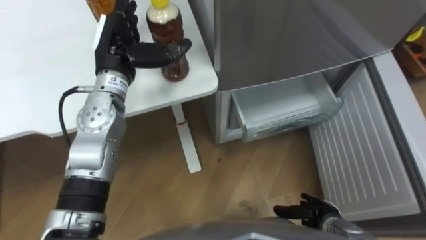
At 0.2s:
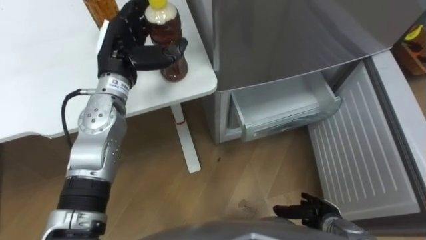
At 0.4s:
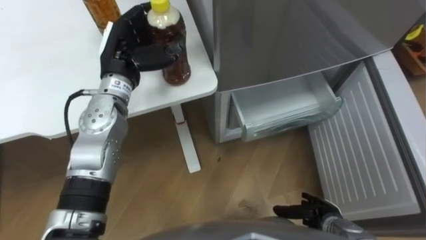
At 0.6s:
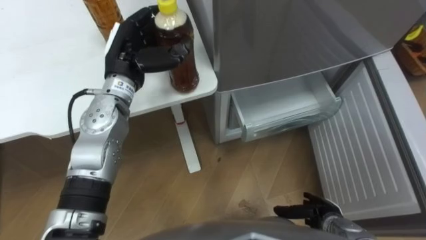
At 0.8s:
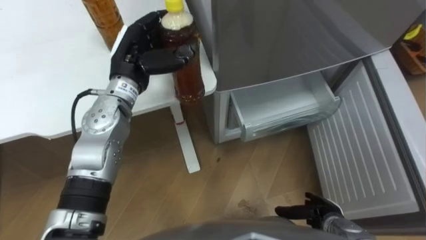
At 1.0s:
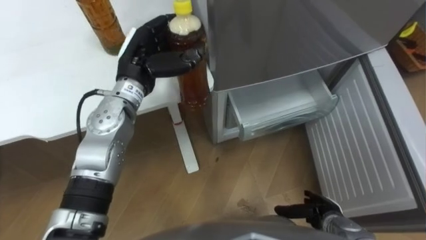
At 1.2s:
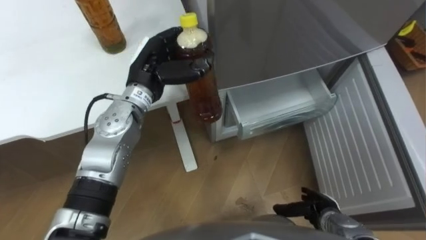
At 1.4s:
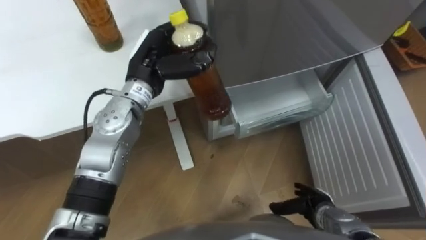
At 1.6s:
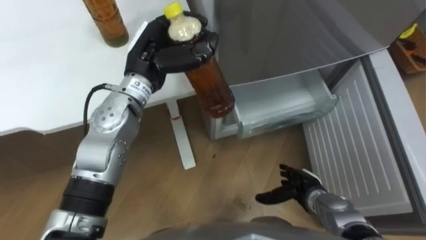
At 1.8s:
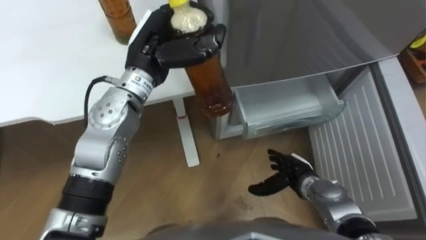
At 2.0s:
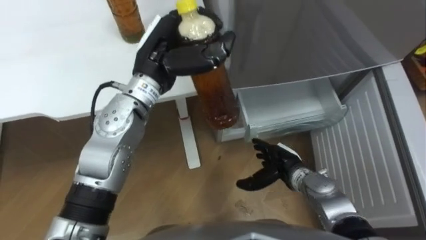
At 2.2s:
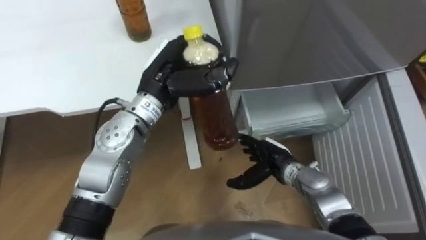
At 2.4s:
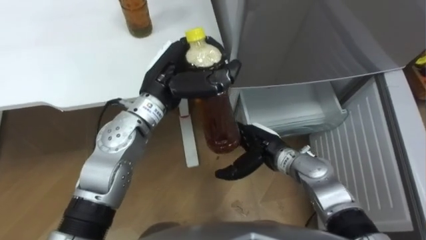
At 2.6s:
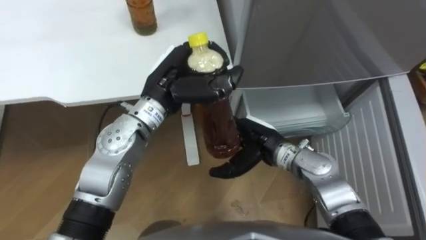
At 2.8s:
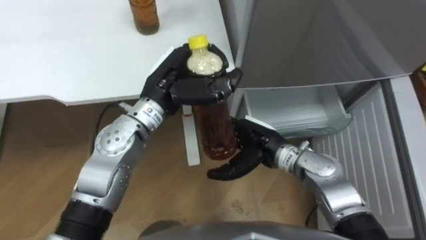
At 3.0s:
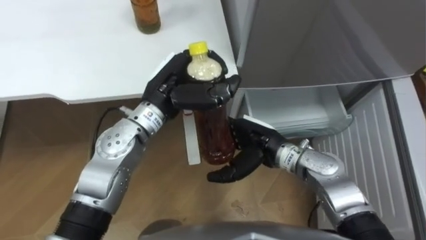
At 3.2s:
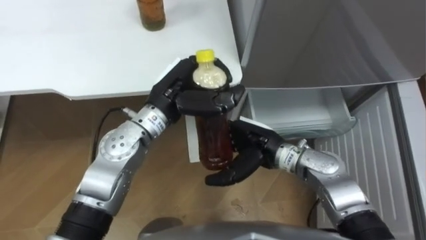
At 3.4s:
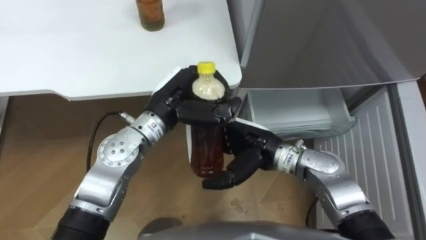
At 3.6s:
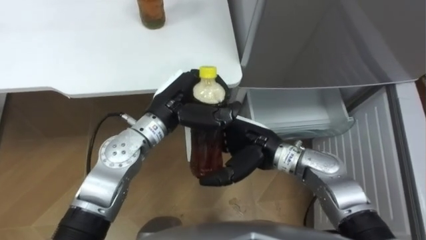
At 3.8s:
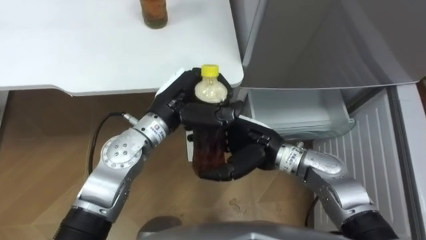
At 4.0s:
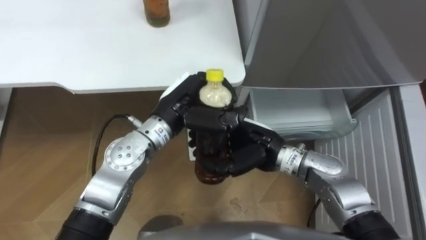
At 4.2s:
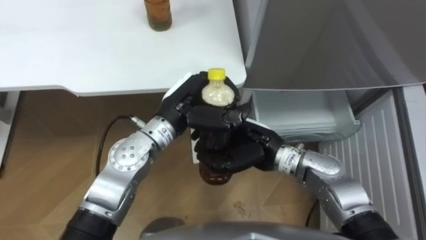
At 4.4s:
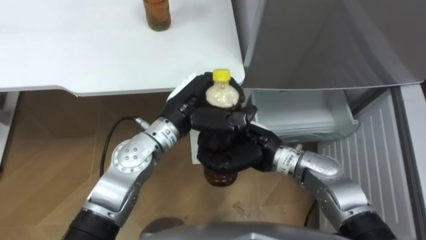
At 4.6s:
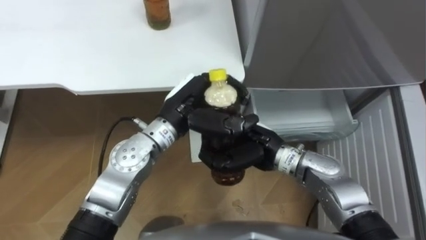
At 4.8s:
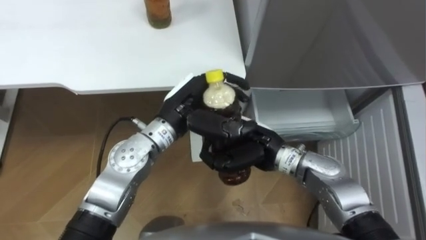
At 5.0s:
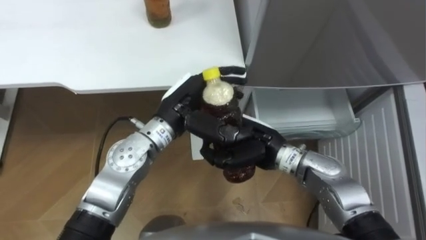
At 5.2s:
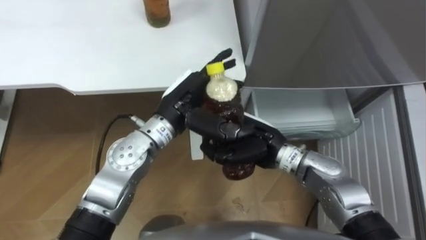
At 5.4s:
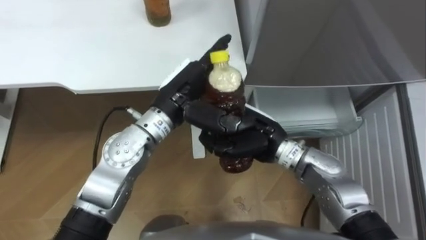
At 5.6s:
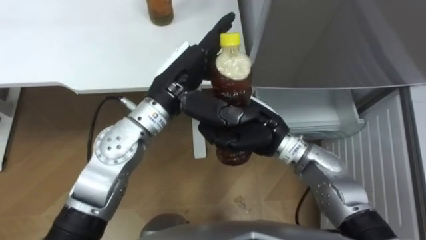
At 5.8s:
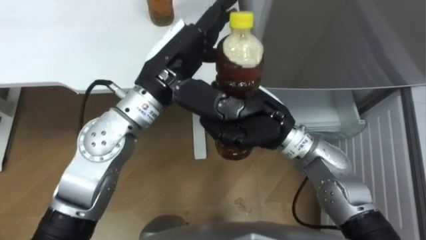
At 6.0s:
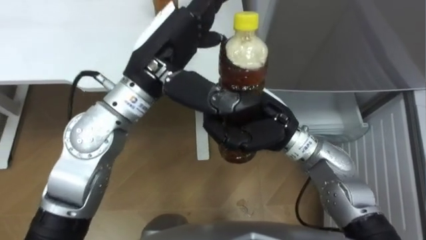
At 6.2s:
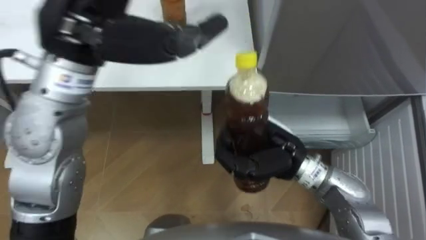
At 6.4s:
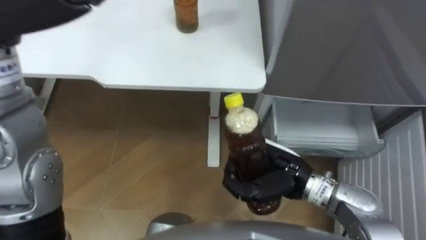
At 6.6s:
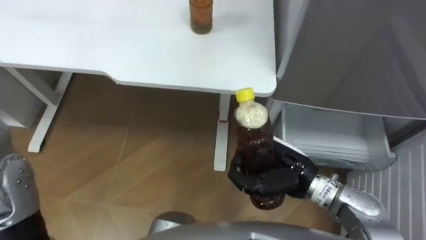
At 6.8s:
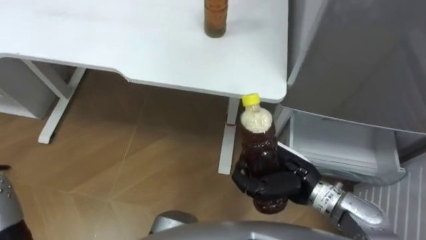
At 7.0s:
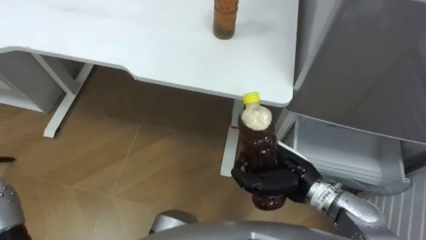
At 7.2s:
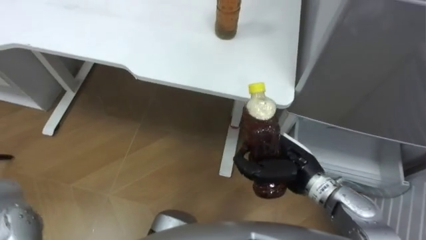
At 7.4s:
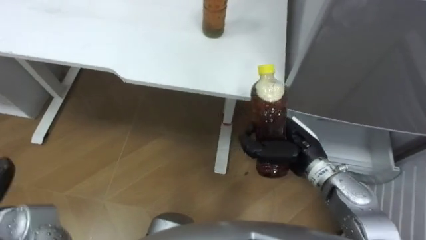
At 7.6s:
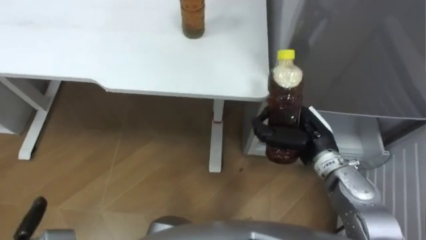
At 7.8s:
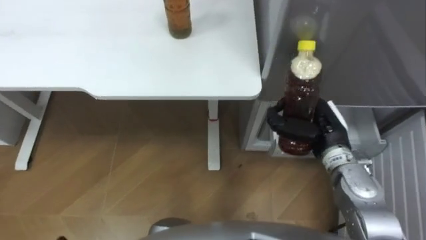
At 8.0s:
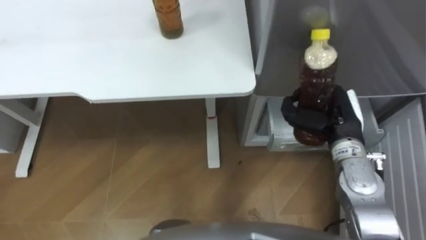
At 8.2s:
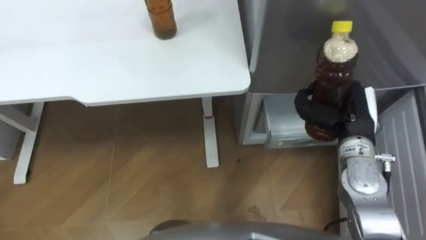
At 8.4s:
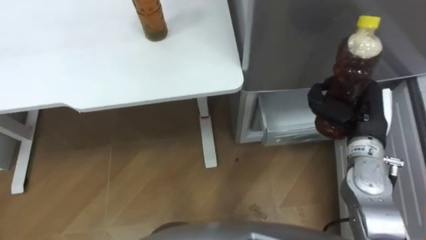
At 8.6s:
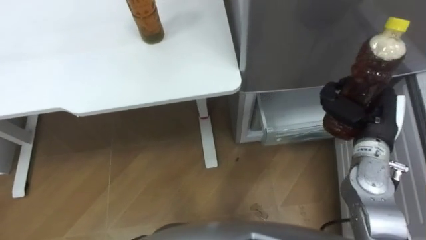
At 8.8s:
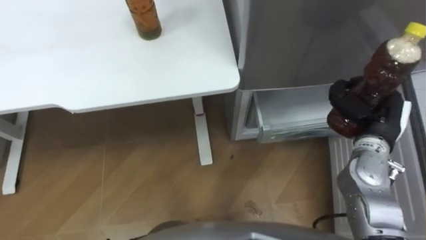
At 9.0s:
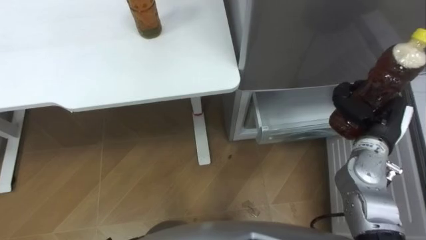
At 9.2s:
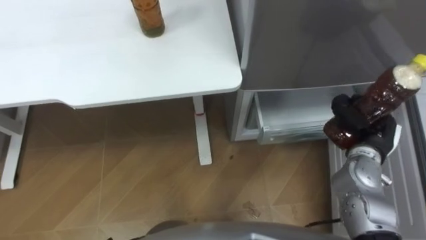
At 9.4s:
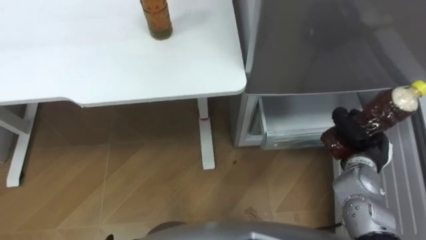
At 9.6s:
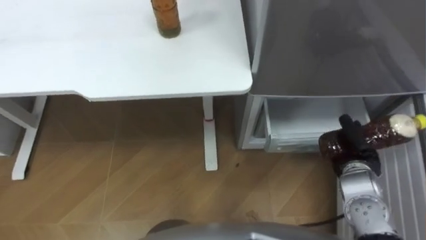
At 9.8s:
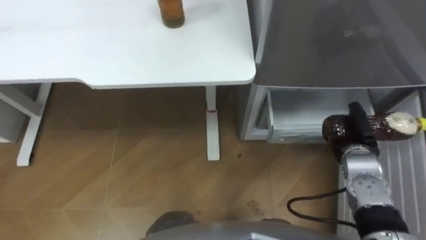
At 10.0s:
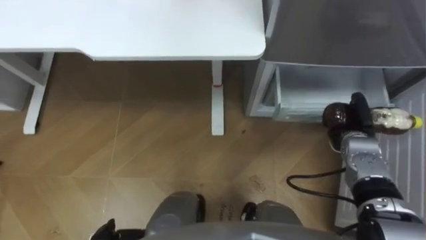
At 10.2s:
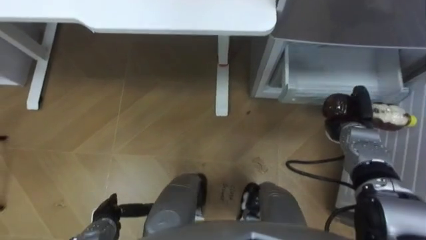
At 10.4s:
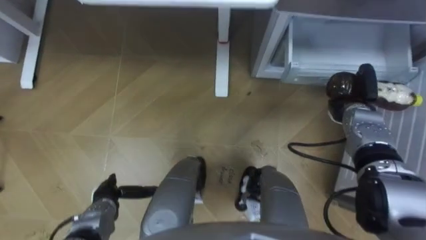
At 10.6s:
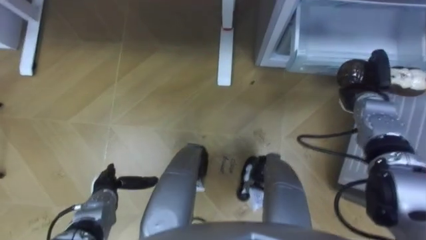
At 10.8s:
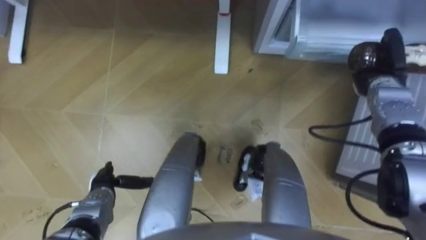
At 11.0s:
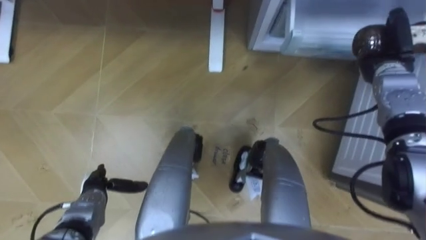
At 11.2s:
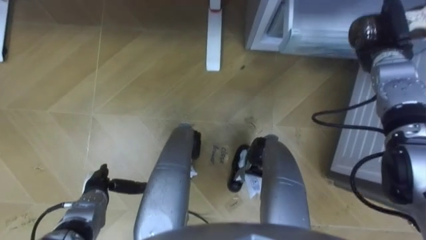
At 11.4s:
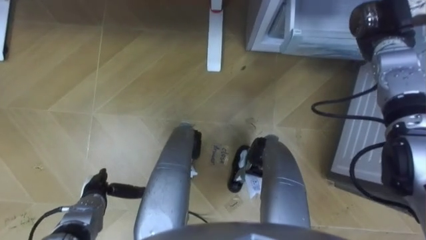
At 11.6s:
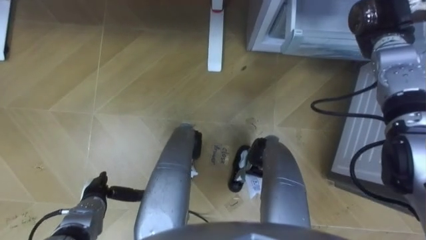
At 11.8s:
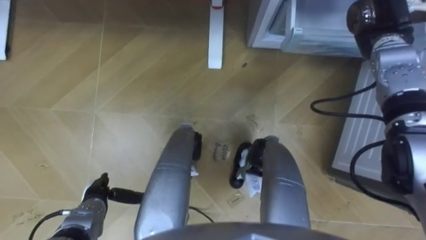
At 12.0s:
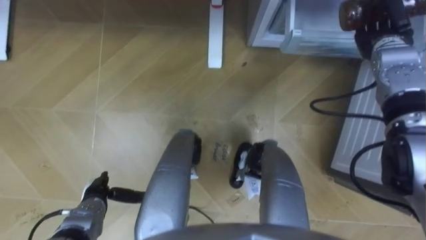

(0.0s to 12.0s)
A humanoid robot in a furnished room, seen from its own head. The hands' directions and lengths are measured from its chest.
Task of the whole recording: Place the drink on the table on the bottom shelf of the refrigerator, then close the drawer and the refrigerator door.
0.0s - 1.6s: The right hand is displaced forward by roughly 5 cm. The left hand shifts about 5 cm to the right, and closes up.
1.6s - 3.0s: The right hand travels upward, to the left and forward by roughly 20 cm. Meanwhile the left hand changes place by approximately 5 cm.
3.0s - 4.4s: The right hand closes.
4.4s - 6.0s: The left hand moves upward, about 15 cm, and opens. Meanwhile the right hand heads upward, covering roughly 10 cm.
6.0s - 7.6s: The right hand moves to the right and downward, approximately 15 cm.
7.6s - 9.0s: The right hand is displaced to the right by some 10 cm.
9.0s - 10.4s: The right hand shifts some 10 cm forward and downward.
10.4s - 12.0s: The right hand moves upward and forward, about 15 cm.

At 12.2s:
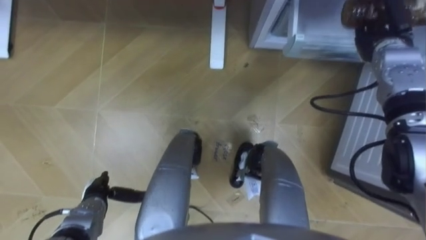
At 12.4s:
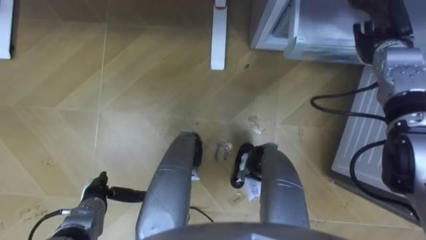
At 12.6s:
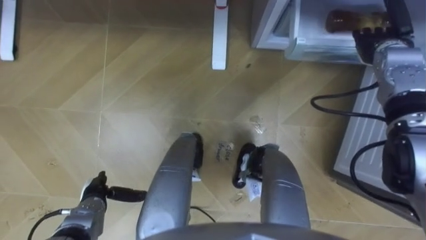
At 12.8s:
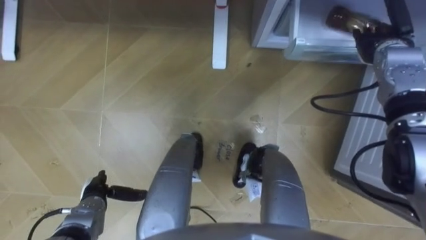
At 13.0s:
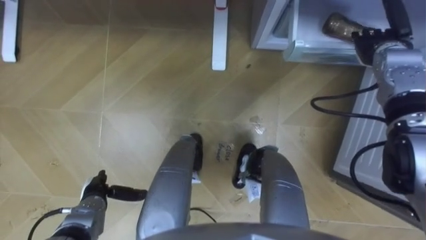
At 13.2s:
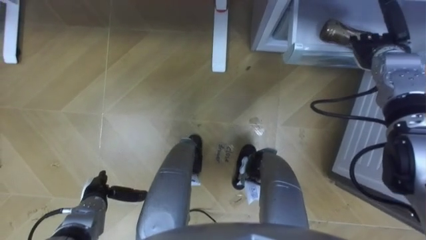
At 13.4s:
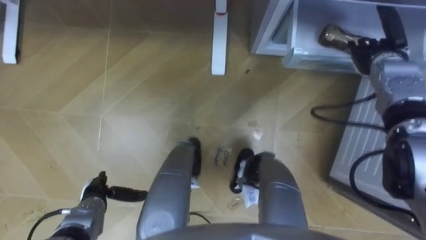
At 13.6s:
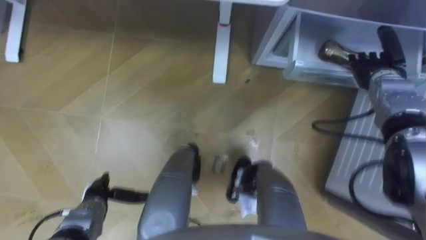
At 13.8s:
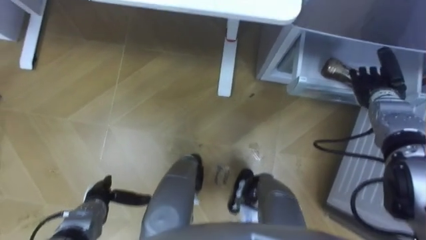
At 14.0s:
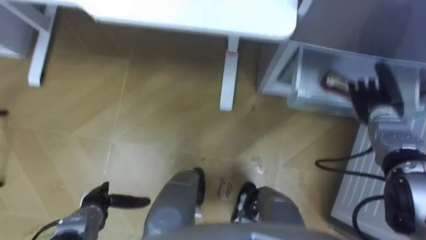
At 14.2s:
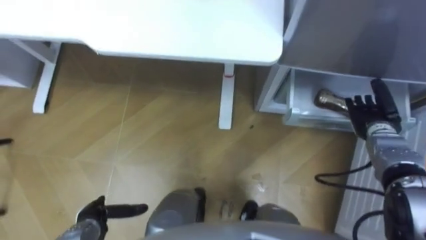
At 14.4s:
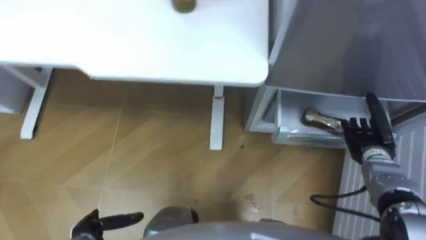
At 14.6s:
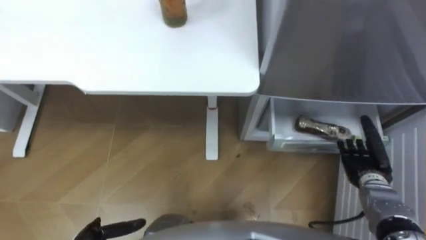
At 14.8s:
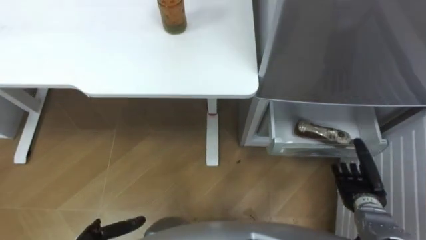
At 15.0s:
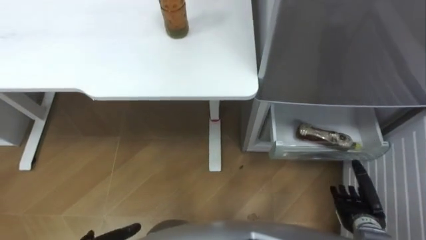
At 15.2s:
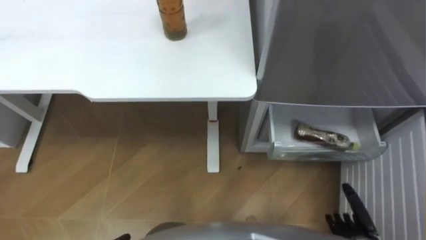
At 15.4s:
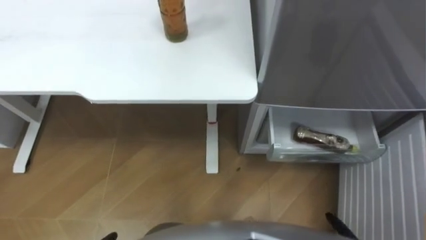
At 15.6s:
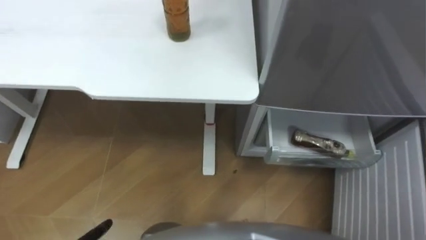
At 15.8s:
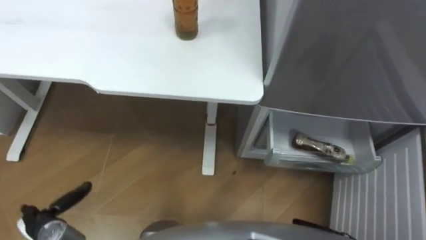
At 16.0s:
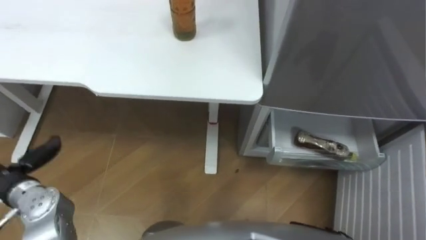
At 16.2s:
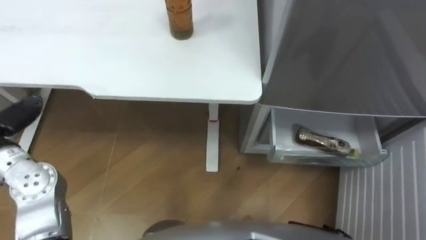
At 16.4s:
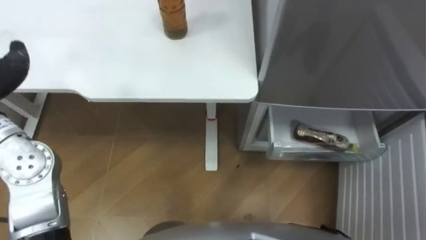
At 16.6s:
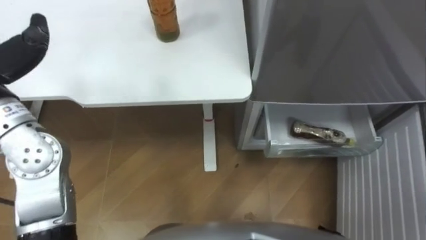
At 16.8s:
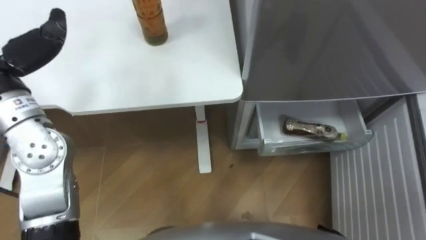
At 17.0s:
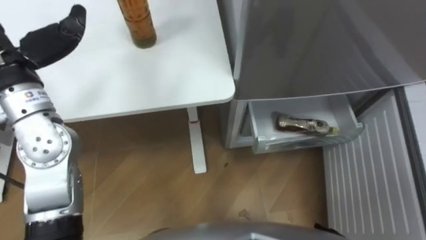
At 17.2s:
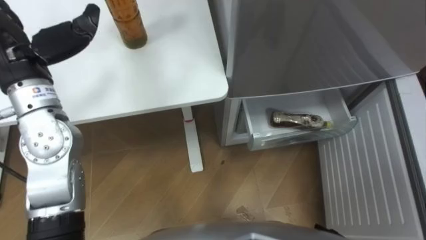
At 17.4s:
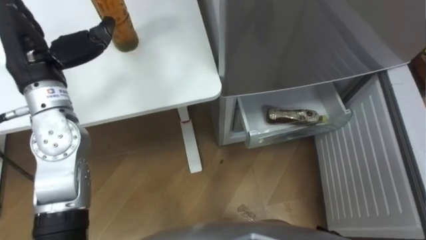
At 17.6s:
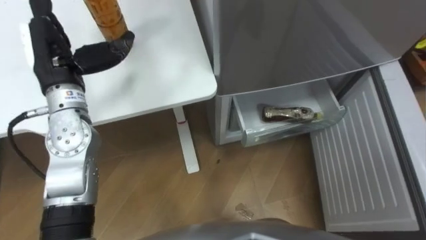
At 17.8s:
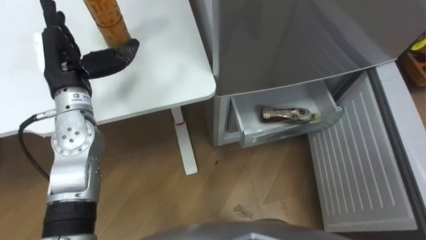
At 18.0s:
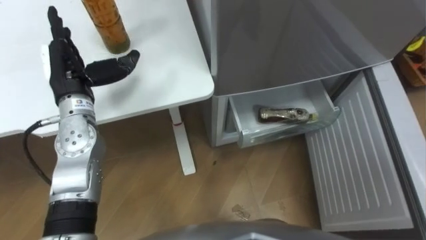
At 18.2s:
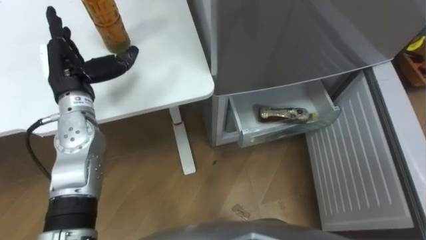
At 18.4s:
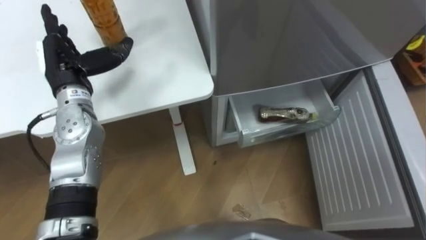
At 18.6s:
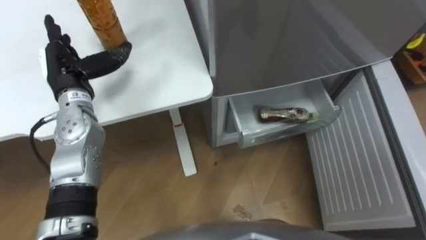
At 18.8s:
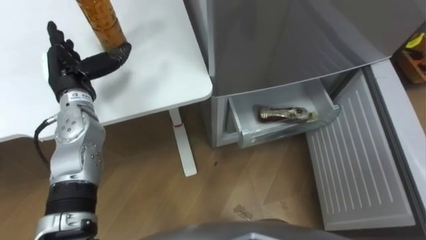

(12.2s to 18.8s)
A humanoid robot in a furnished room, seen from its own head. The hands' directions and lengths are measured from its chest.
Task of the whole recording: Place the drink on the table on the bottom shelf of the refrigerator, then close the drawer and the refrigerator door.
12.2s - 13.8s: The right hand is displaced downward and backward by approximately 10 cm.
17.2s - 18.8s: The left hand moves downward, about 10 cm.
